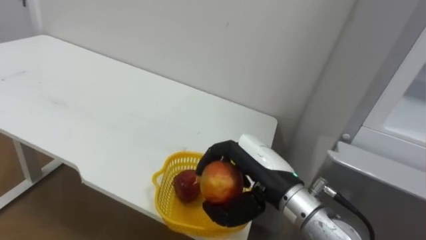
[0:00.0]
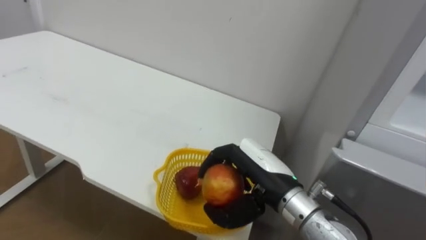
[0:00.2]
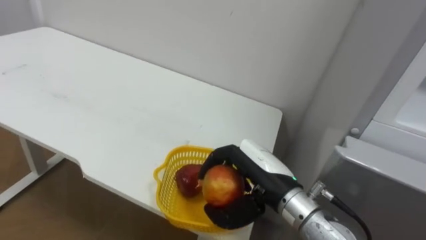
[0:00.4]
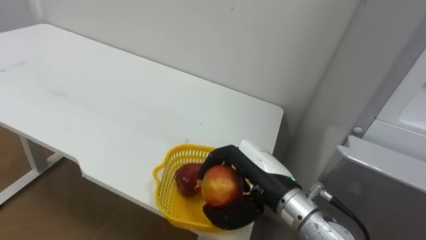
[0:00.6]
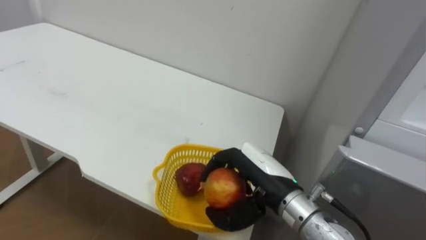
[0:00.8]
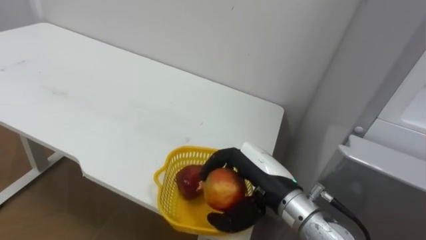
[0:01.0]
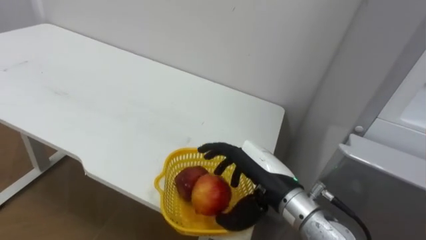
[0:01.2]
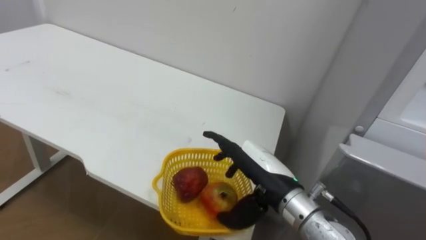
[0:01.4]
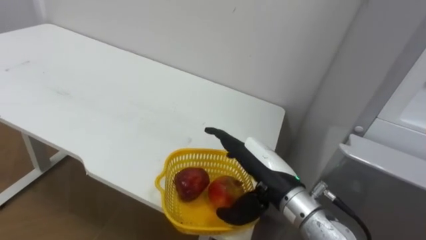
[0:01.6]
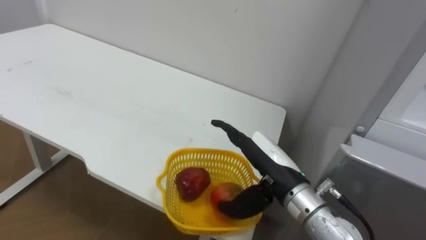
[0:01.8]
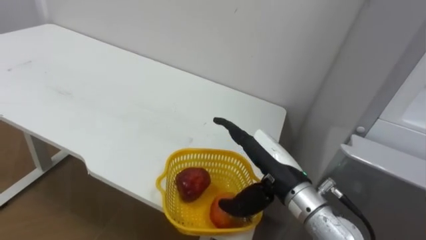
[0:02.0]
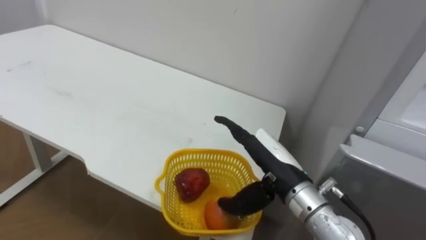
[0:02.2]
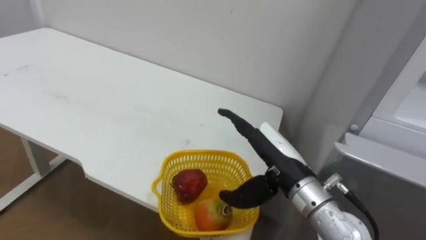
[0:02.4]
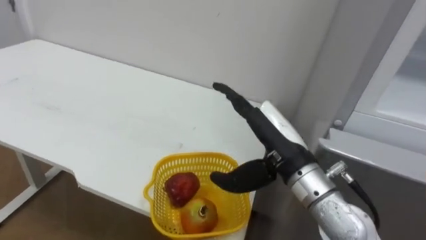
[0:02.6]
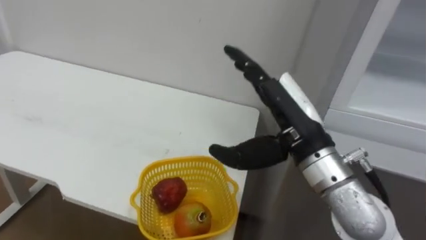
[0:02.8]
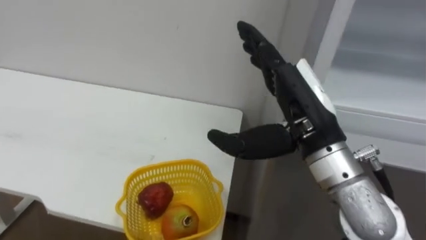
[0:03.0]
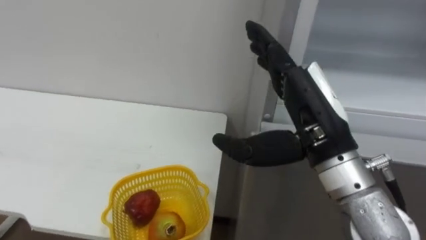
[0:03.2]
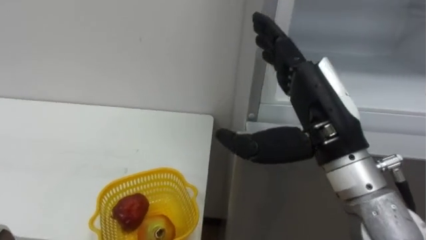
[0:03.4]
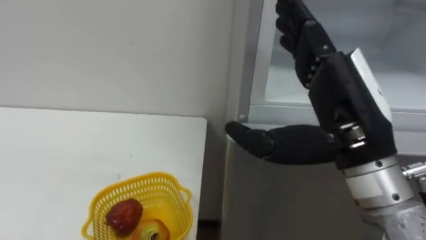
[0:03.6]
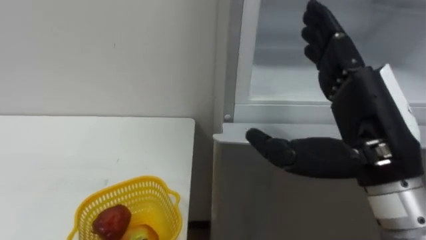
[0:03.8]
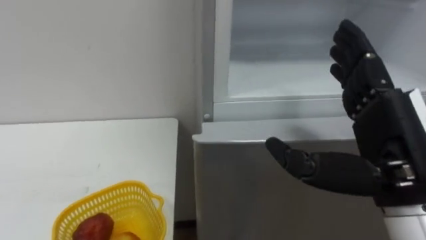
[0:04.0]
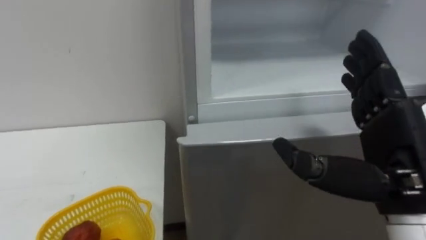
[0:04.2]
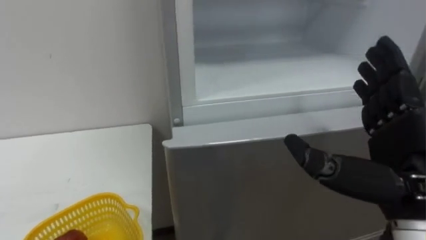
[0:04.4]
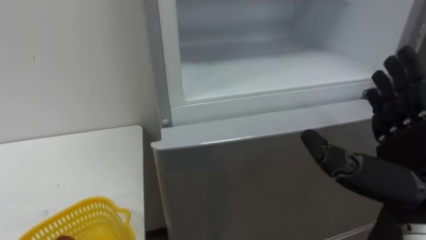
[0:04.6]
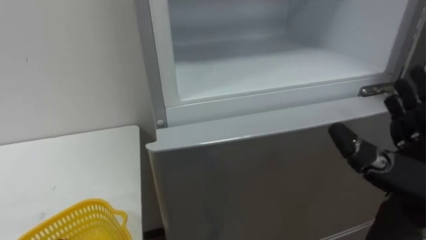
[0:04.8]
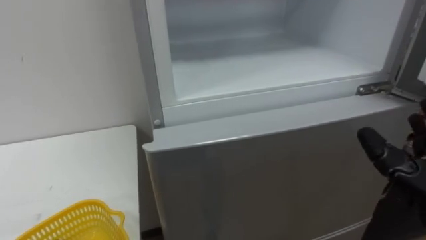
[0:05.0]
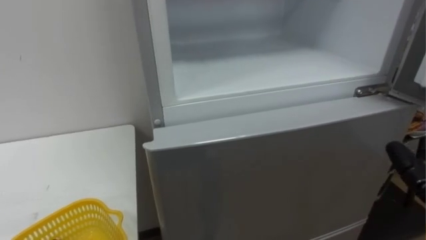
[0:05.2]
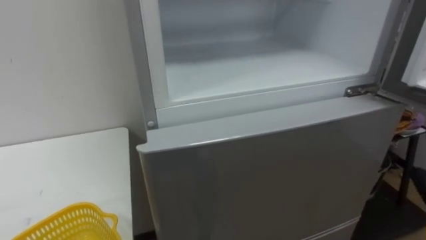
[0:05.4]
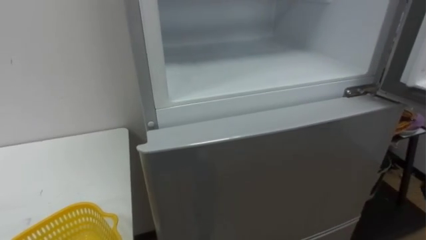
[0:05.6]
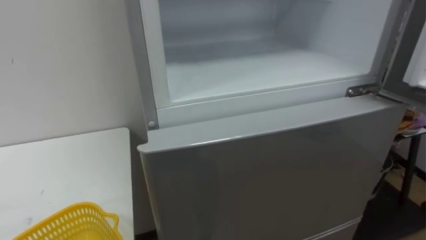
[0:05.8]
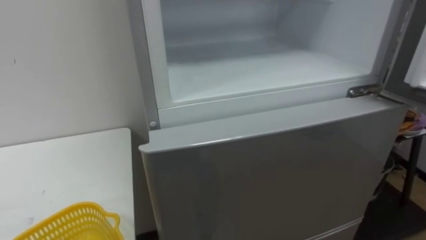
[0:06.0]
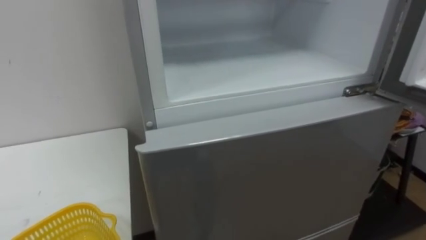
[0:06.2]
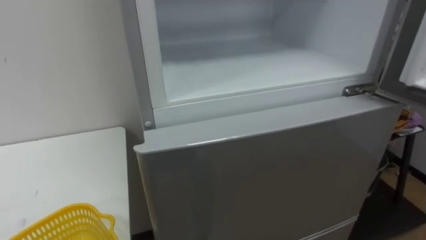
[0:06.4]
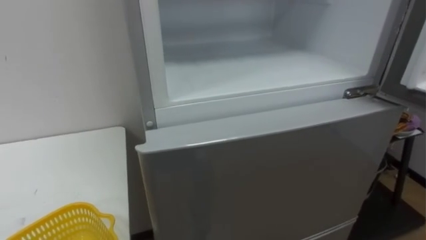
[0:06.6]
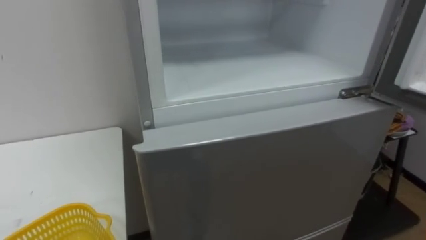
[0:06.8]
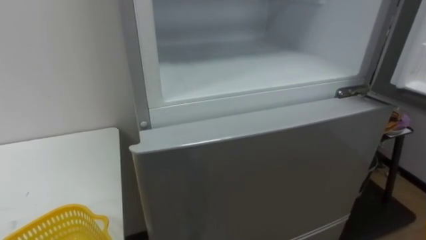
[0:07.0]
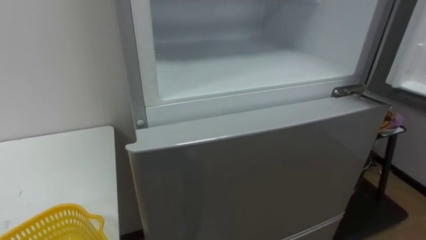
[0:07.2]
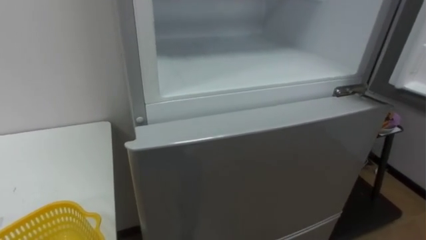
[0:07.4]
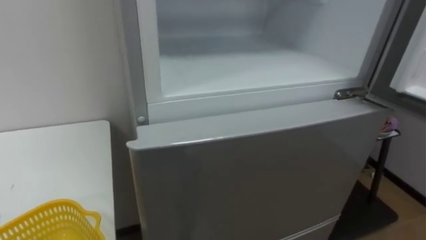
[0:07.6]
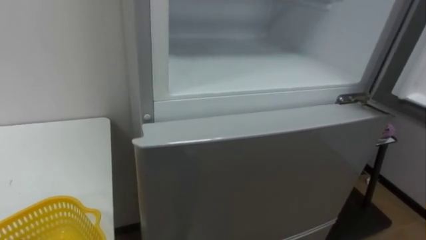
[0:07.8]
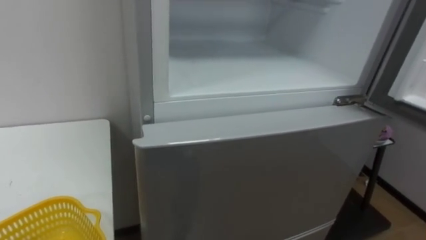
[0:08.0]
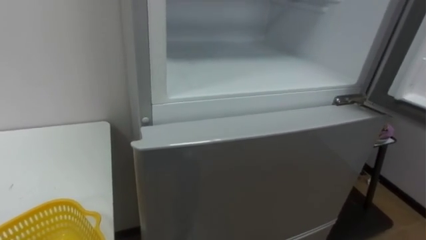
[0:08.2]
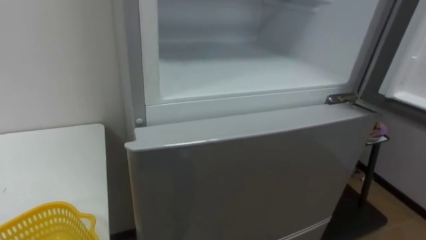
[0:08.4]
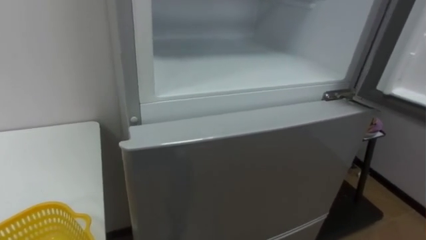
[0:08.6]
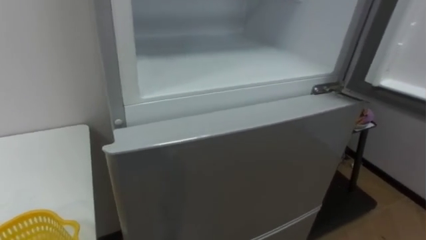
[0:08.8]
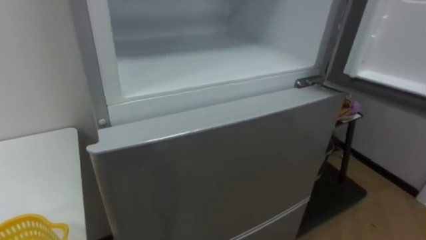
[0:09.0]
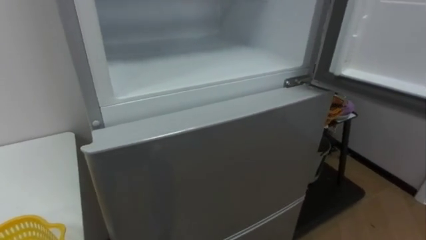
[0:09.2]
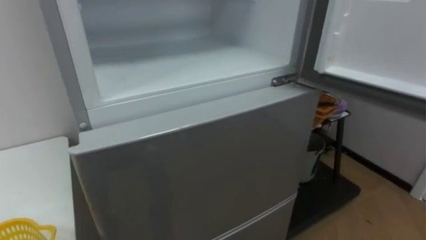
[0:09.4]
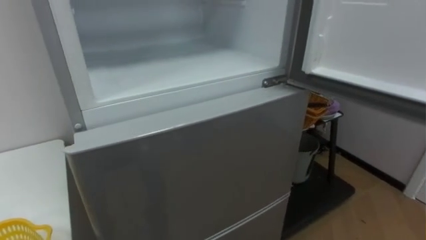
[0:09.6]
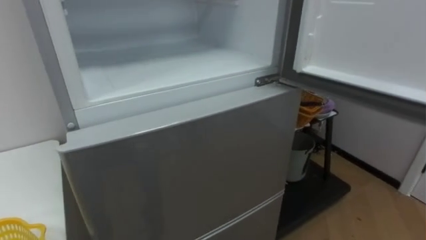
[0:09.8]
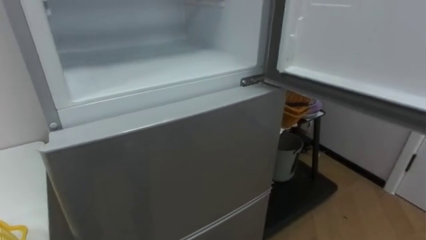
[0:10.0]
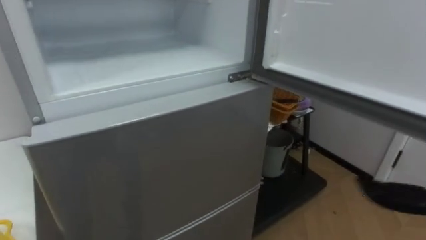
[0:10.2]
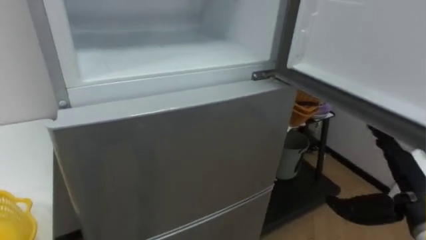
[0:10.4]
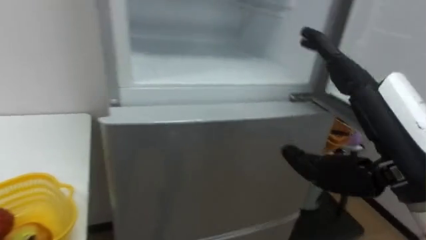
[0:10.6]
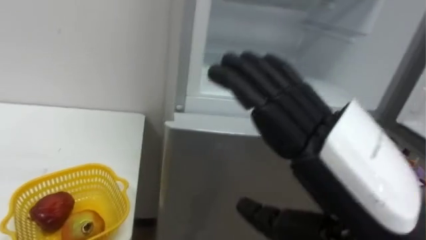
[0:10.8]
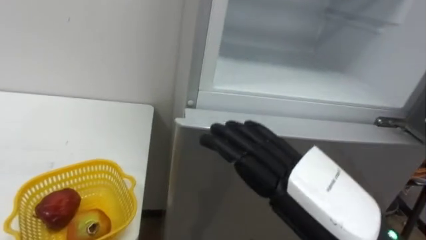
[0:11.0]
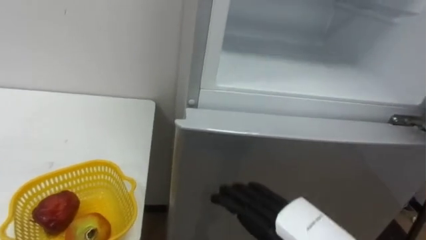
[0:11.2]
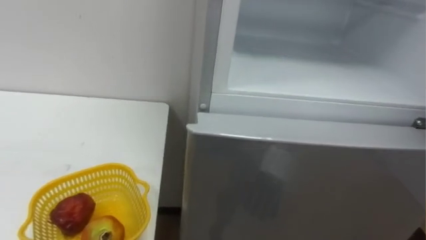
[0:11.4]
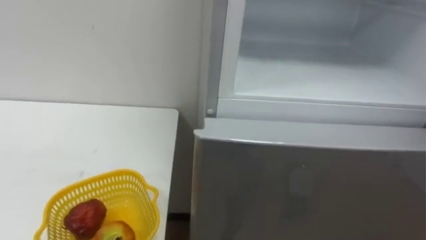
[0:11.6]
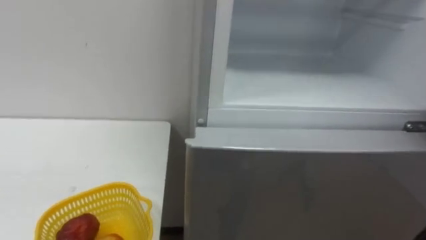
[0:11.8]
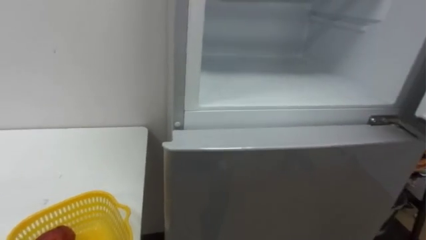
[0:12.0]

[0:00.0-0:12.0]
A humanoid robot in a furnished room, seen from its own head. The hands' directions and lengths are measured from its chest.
Task of the whole recording: Open the refrigerator door, take out the apple and the pomegranate, place them in the fruit basket on the left, and close the refrigerator door.
0:00.0 to 0:01.6: The right hand opens up.
0:01.6 to 0:03.0: The right hand is displaced upward by about 15 cm.
0:03.0 to 0:04.4: The right hand goes about 10 cm to the right and backward.

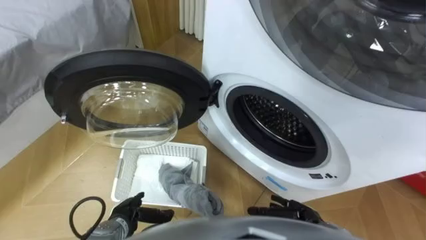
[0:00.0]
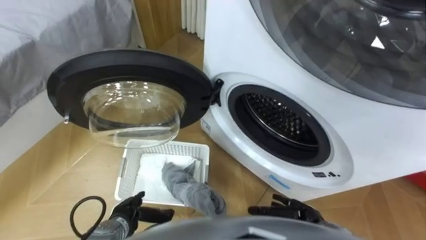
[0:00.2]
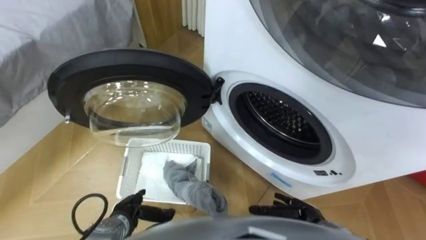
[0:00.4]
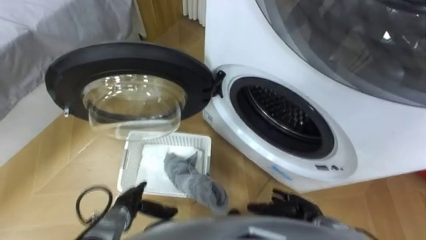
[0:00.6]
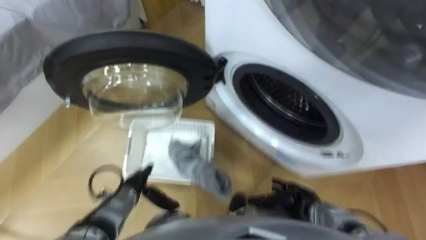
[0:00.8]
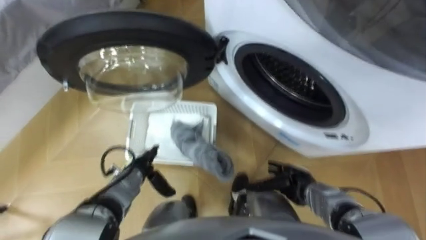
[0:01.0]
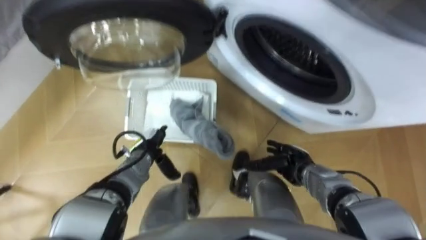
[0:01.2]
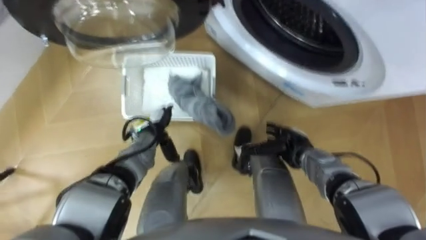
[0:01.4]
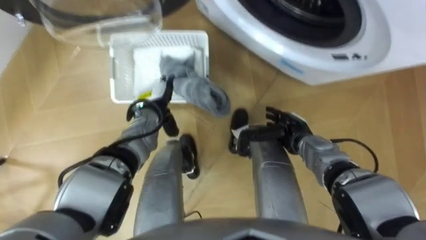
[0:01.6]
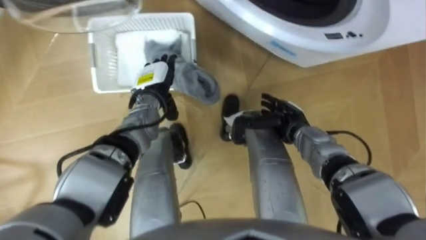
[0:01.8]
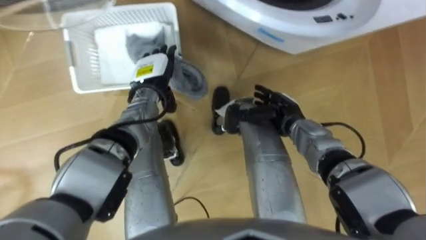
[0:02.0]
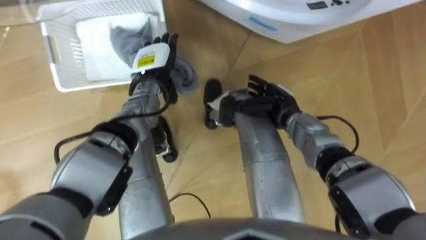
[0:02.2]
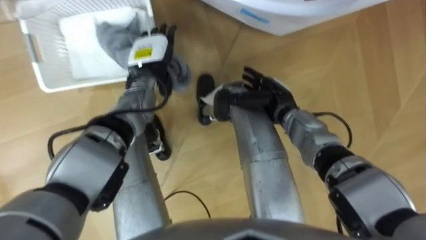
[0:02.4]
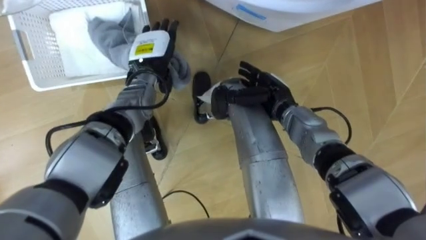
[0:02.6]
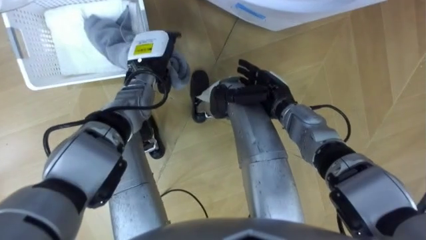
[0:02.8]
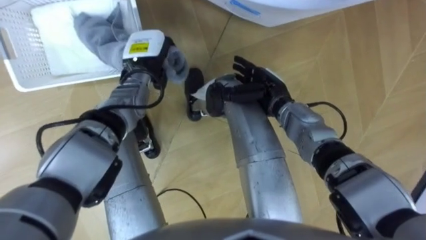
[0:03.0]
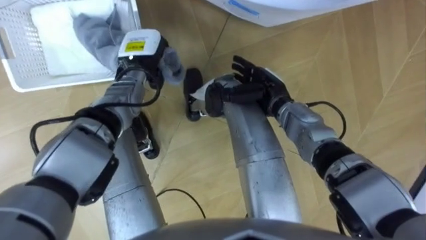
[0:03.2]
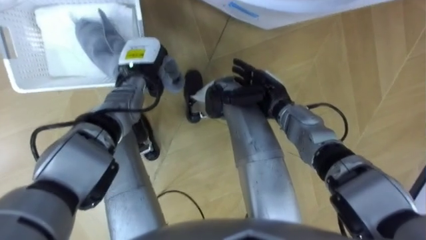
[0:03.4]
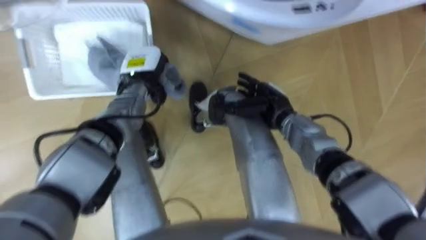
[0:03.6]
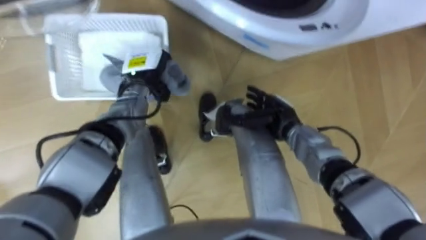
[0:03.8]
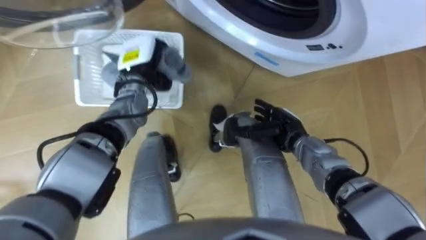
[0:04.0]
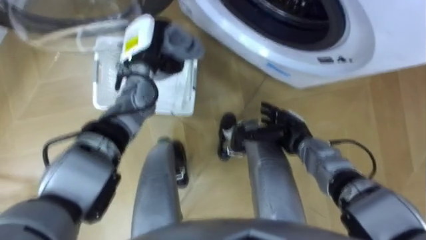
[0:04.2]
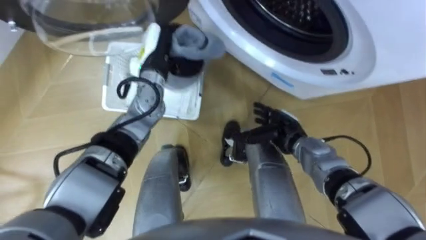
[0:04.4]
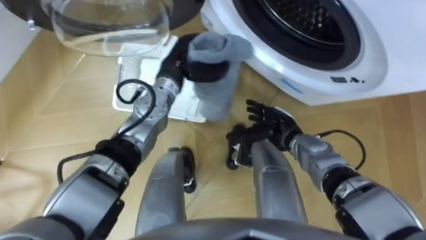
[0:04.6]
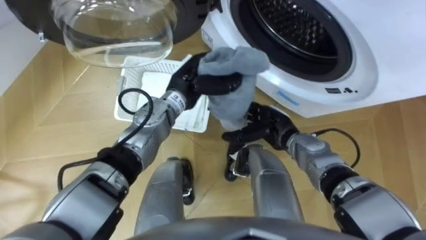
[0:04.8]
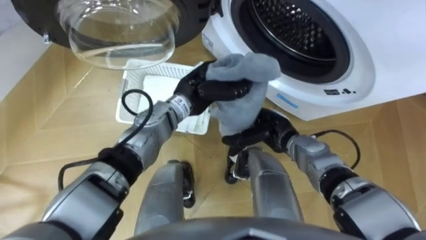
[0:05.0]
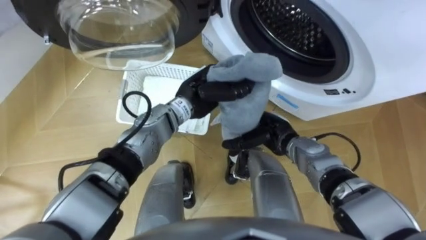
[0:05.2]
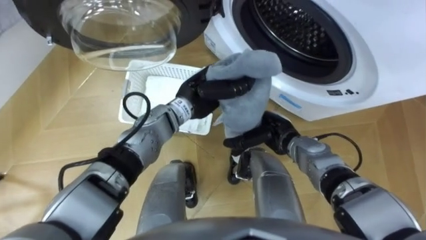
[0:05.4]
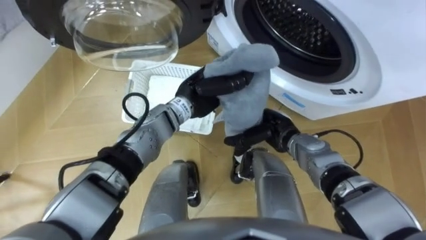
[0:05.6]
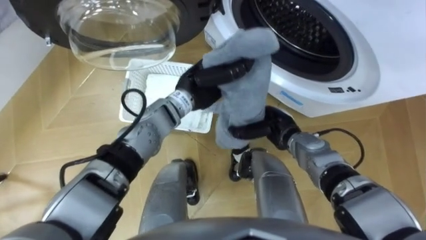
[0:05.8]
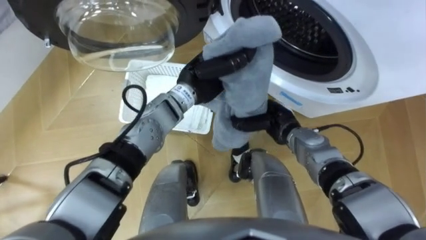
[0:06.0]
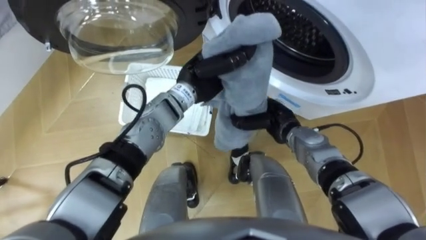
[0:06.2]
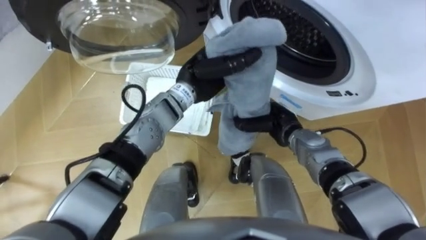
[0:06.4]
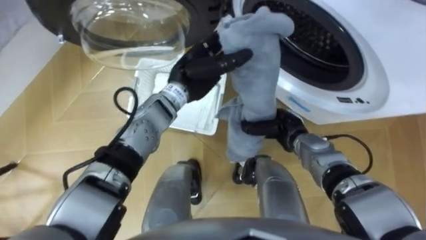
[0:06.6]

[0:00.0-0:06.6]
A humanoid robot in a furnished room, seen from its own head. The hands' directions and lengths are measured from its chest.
Task of the whole recording: Take the towel from the basket and put it into the washing machine.
0:01.6 to 0:03.2: The right hand is displaced upward, to the left and forward by roughly 15 cm. Meanwhile the left hand is displaced upward and forward by about 10 cm, and closes up.
0:03.2 to 0:05.0: The right hand moves backward and downward, roughly 10 cm. The left hand moves to the right and backward, about 15 cm.
0:05.0 to 0:06.6: The right hand closes its fingers. The left hand opens.
